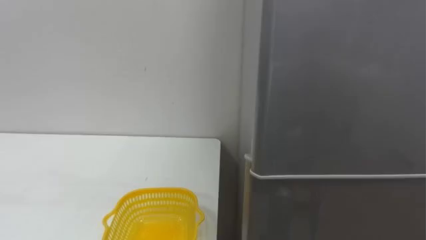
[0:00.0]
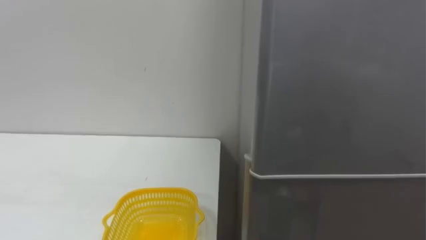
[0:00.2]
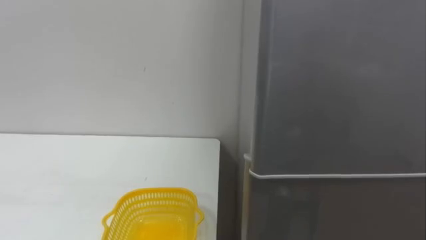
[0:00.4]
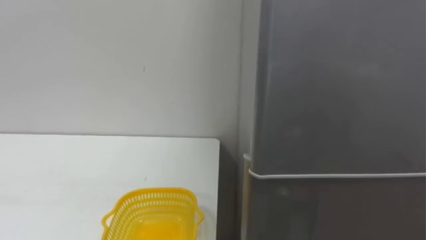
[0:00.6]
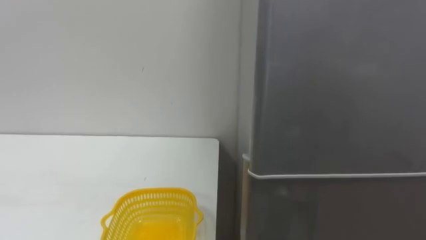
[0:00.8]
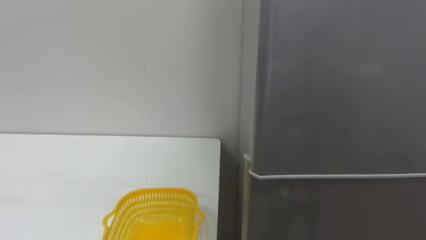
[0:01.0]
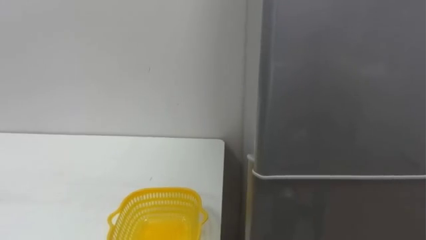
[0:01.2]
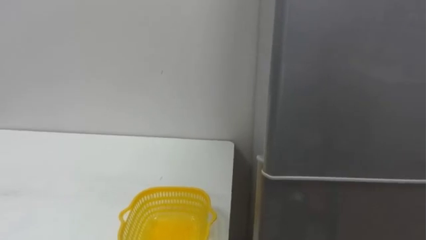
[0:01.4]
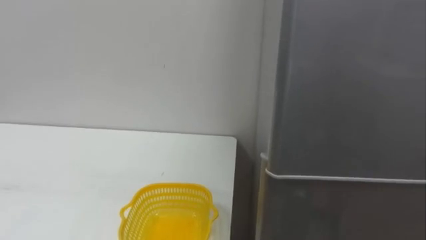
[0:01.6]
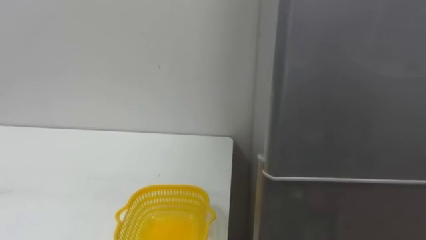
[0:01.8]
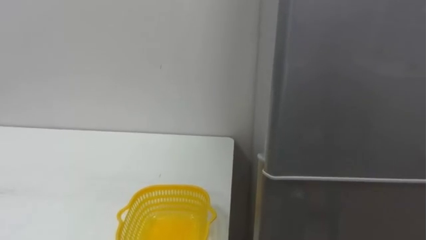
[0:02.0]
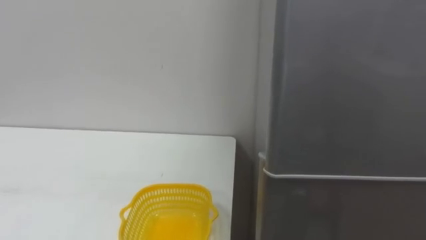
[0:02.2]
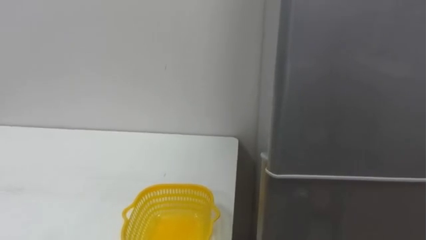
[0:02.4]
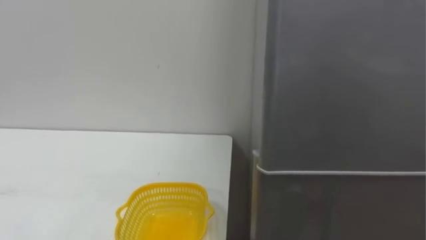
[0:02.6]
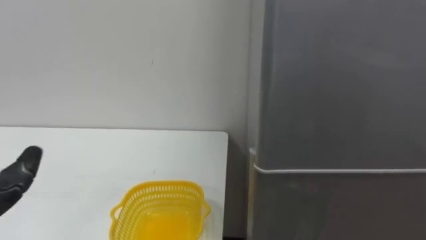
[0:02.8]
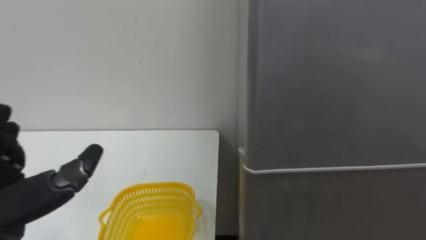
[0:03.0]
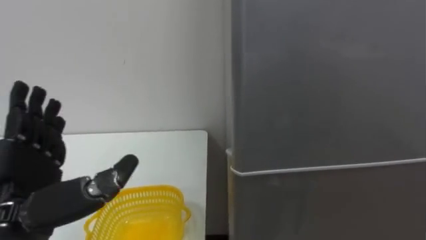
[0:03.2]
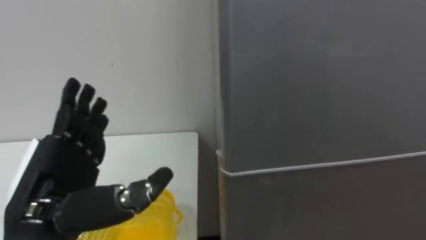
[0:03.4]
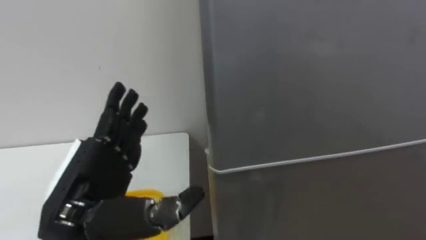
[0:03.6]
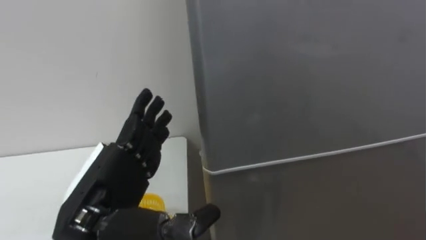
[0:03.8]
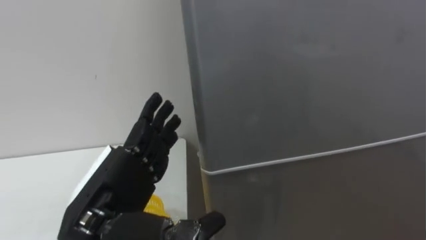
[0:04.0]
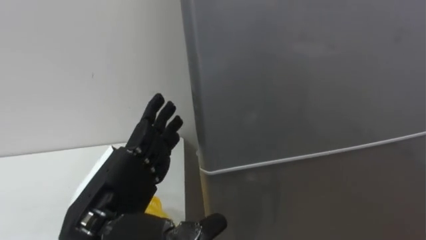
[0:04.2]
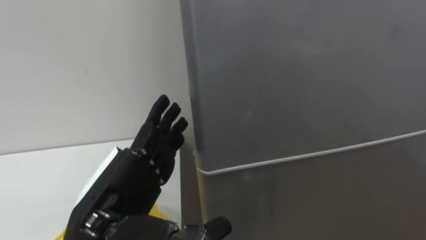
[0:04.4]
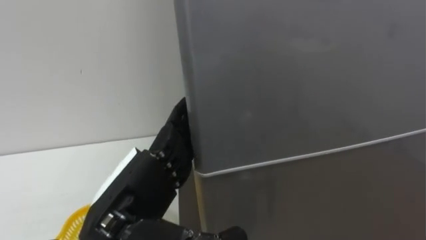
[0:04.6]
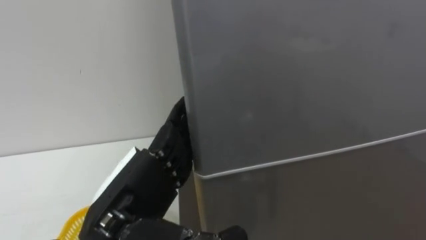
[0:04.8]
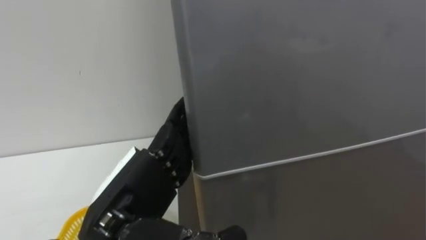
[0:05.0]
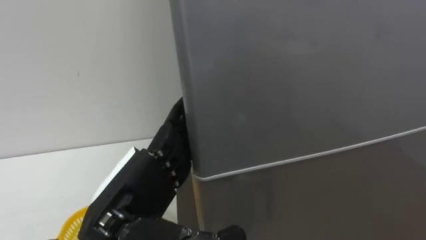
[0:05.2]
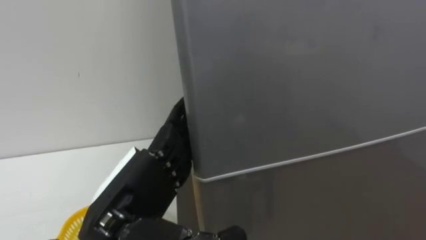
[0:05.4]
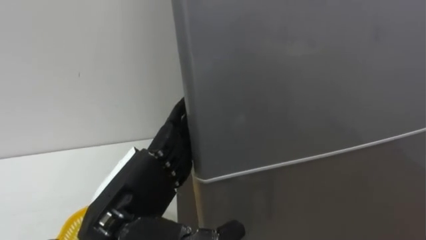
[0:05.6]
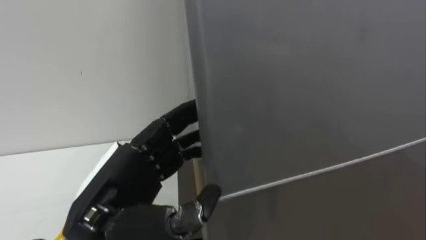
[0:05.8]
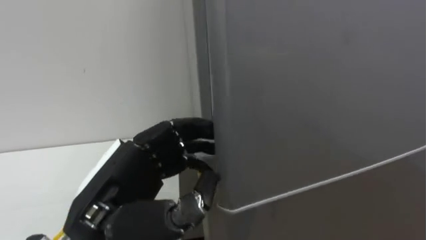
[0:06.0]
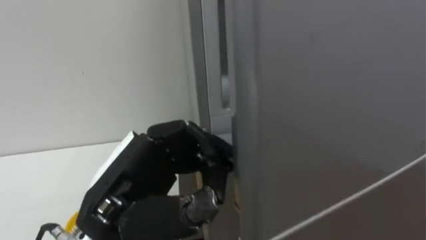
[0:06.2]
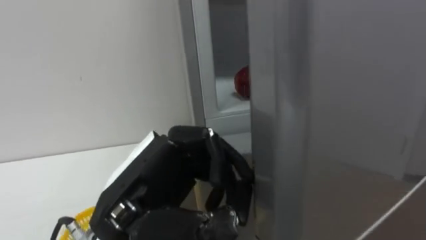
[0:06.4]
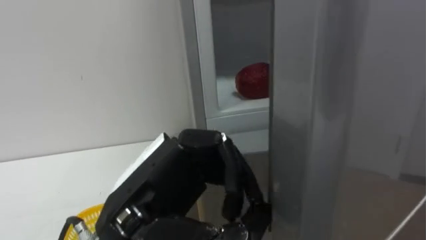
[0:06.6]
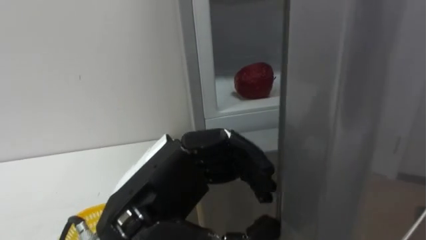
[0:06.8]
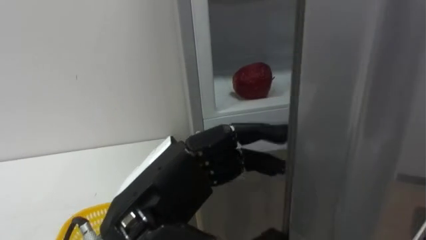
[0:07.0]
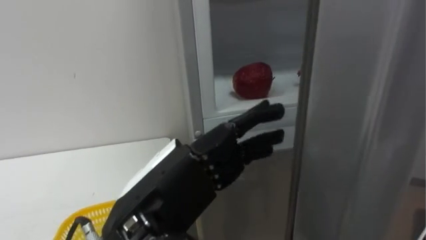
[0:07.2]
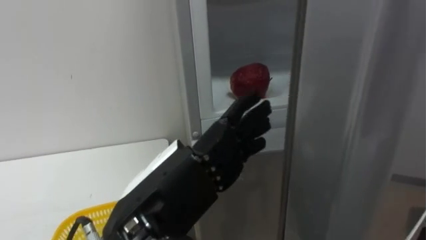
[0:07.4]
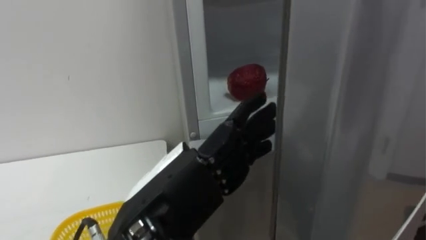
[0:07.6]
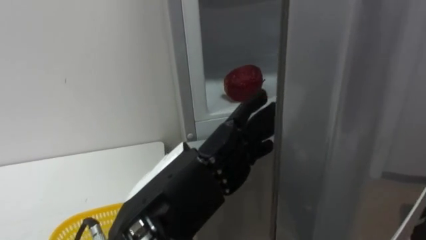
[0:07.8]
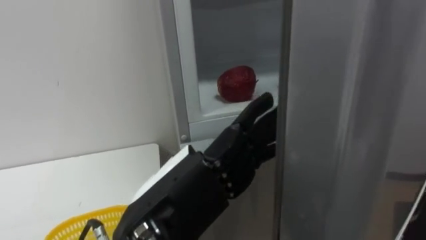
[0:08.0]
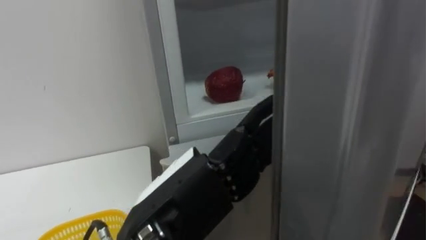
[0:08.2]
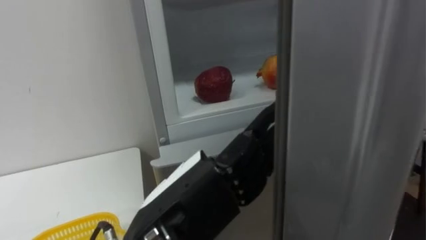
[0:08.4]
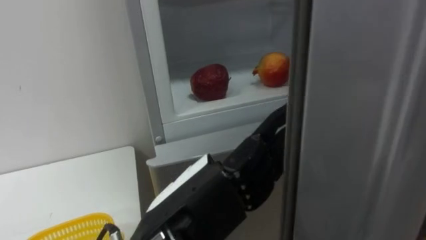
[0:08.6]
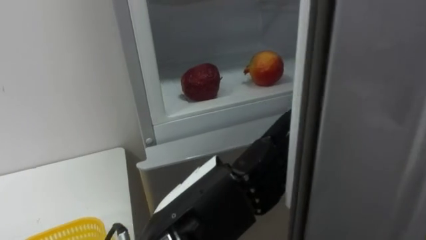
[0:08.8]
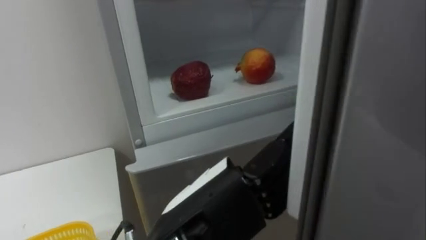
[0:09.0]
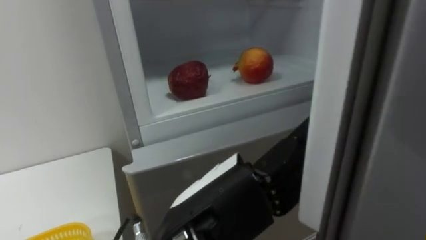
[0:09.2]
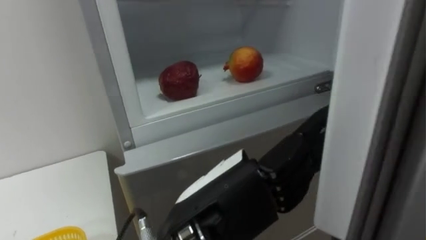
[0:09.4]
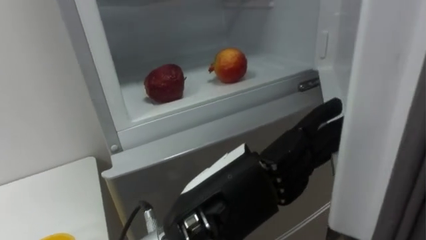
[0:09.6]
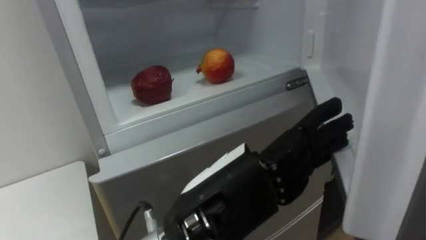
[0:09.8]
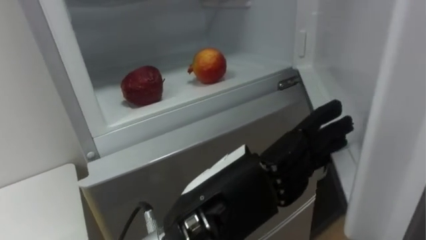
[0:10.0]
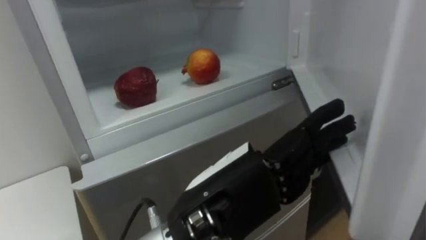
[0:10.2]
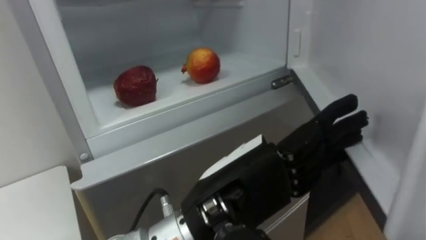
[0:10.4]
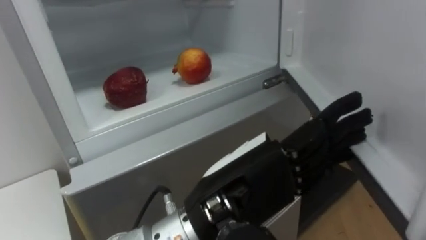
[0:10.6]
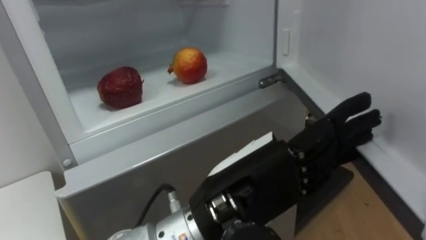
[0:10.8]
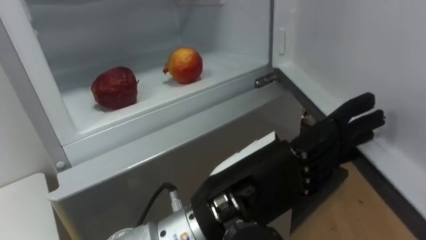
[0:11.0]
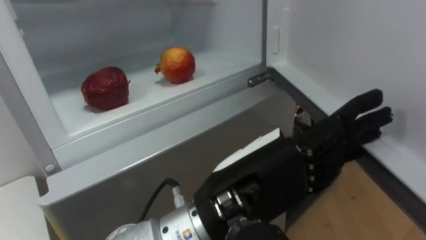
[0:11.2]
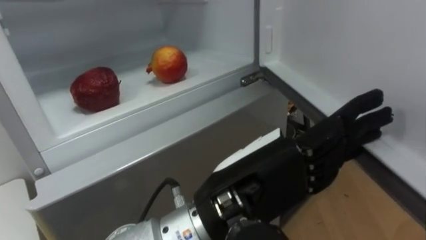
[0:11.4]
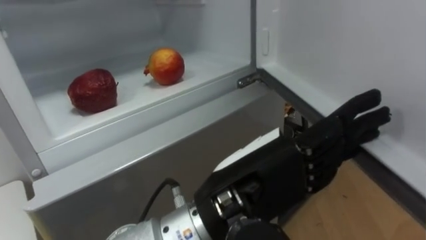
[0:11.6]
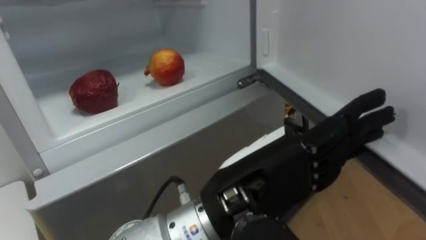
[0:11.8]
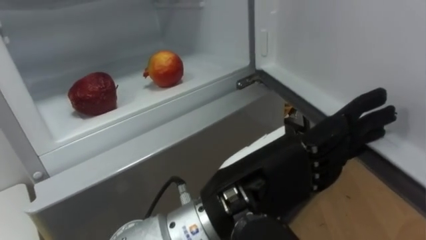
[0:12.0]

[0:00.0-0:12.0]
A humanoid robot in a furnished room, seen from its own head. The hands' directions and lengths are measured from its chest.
Task of the whole recording: Open the refrigerator door, take out the apple and the pomegranate, place them in the fruit basket on the left, and close the refrigerator door.
0:04.4 to 0:06.0: The left hand closes its fingers.
0:06.0 to 0:07.6: The left hand travels to the right by approximately 5 cm, and opens.

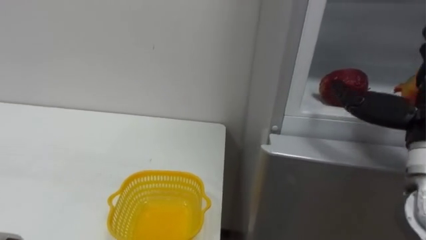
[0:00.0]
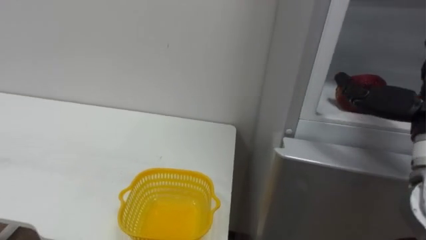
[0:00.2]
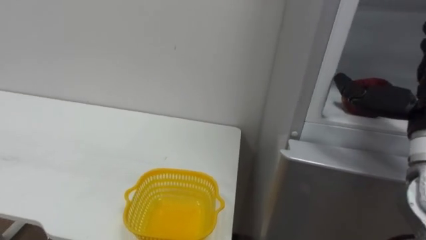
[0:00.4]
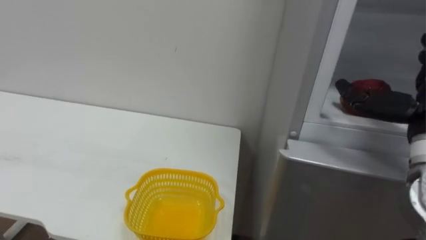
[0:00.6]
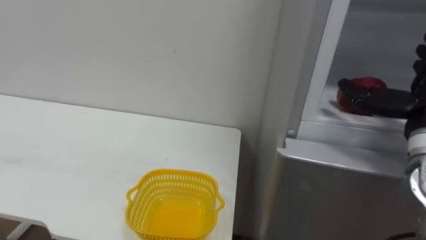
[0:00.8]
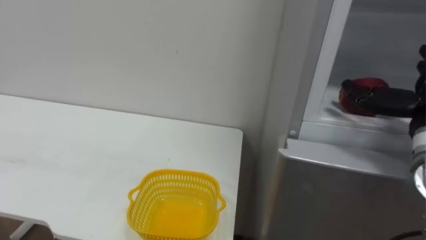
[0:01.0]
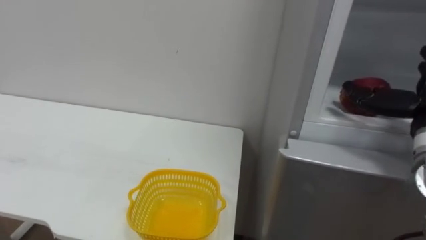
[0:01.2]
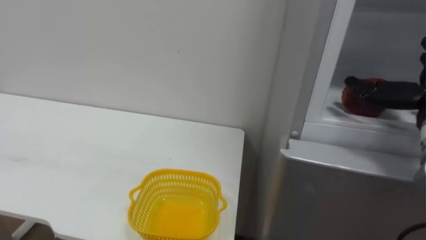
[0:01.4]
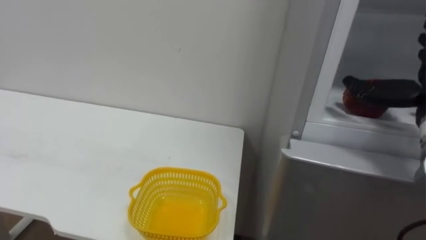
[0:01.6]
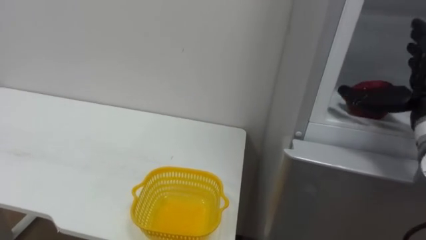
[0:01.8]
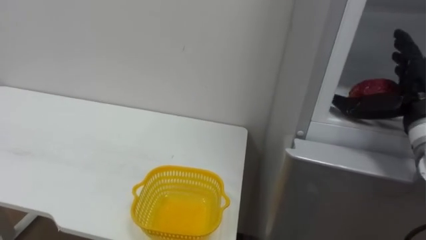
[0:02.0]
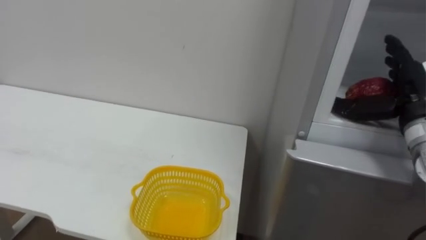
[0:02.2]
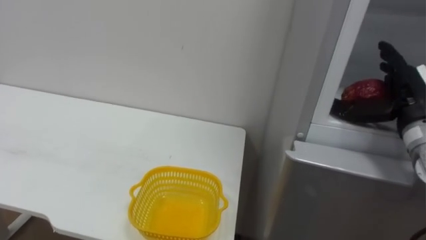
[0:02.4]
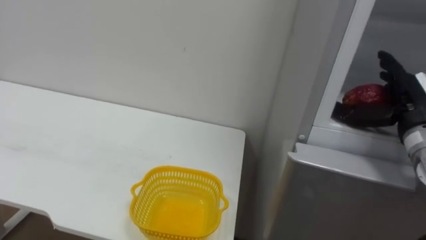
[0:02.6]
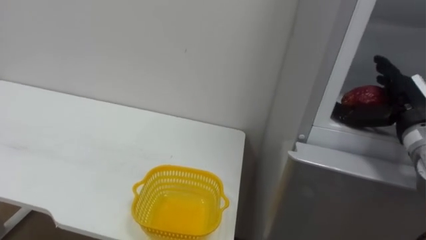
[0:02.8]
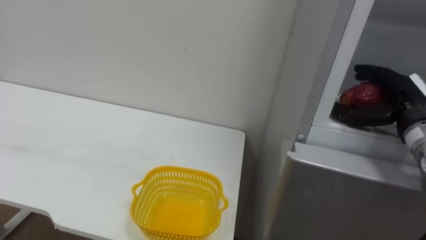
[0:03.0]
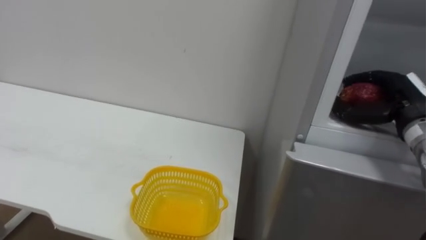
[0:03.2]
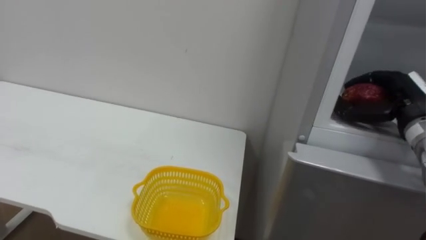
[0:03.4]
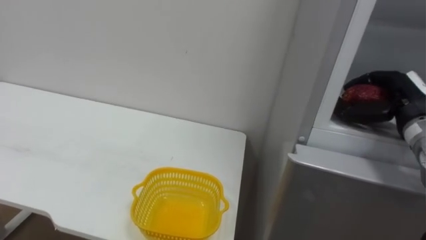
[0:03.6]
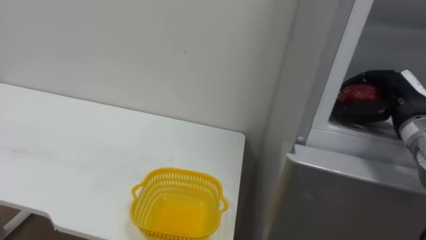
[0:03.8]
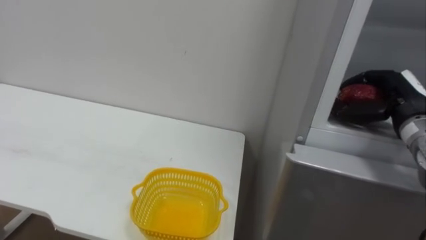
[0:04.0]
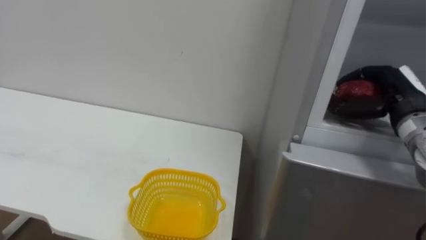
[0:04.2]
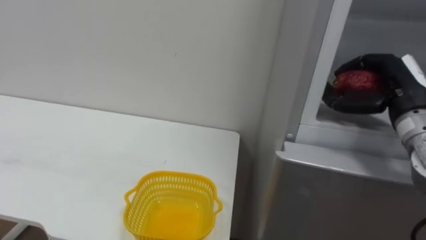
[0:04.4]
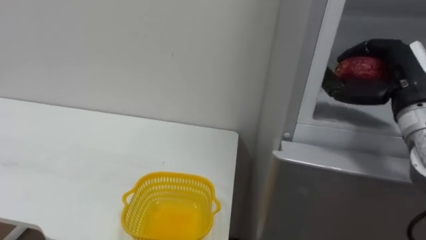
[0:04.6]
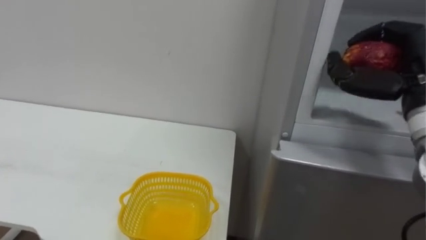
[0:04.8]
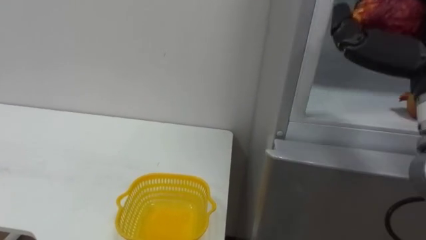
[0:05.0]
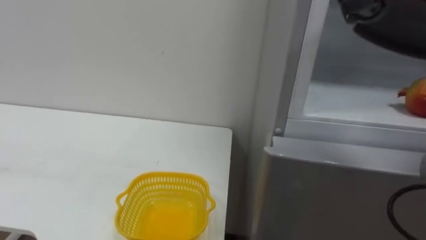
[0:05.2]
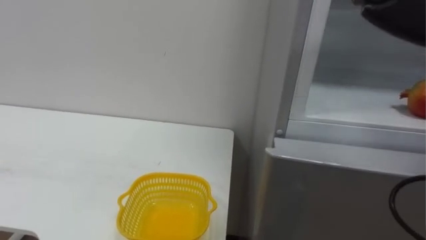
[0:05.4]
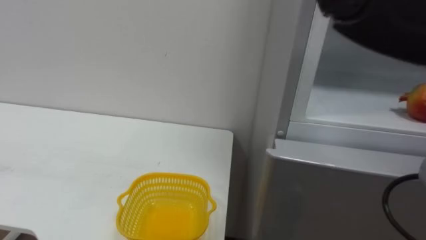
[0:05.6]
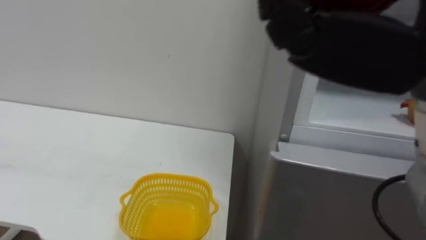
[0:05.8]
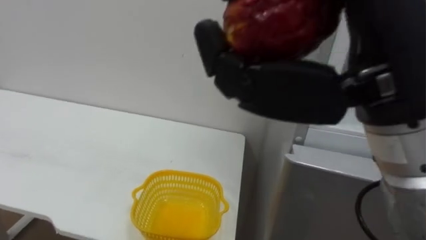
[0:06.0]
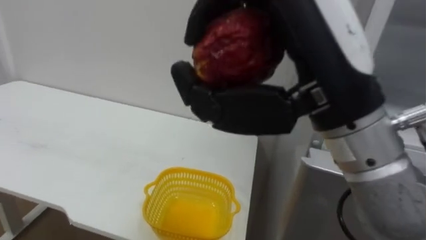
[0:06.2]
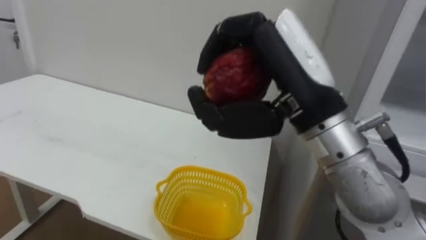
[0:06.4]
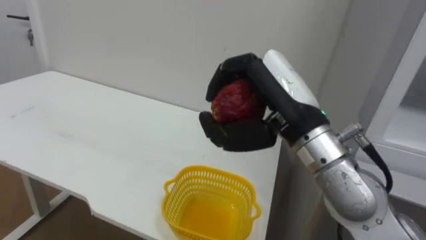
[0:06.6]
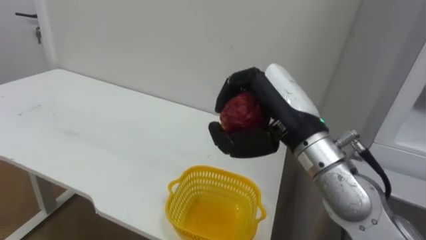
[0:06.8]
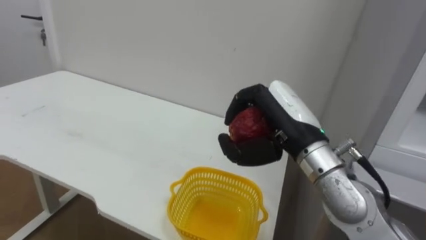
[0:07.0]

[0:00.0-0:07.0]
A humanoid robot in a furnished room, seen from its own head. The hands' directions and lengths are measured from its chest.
Task of the whole recording: Open the refrigerator door, take out the apple and the pomegranate, place them in the fruit basket on the left, and close the refrigerator door.
0:02.8 to 0:04.2: The right hand closes up.
